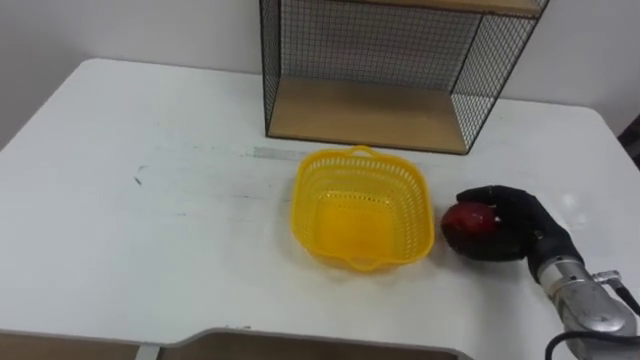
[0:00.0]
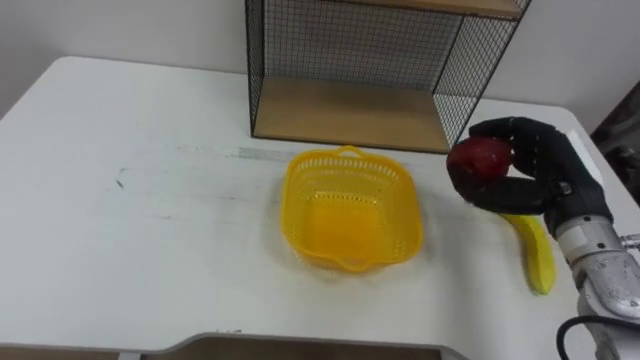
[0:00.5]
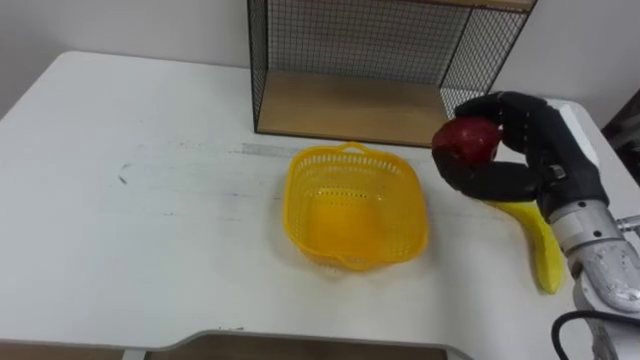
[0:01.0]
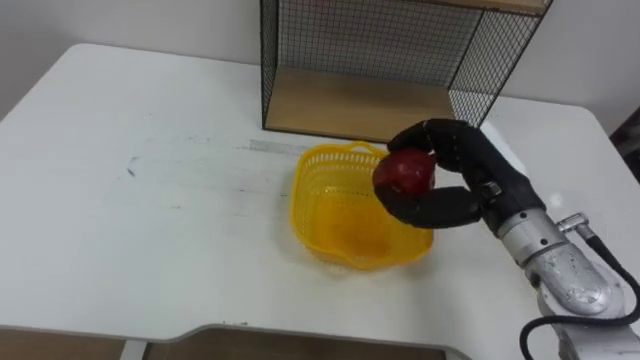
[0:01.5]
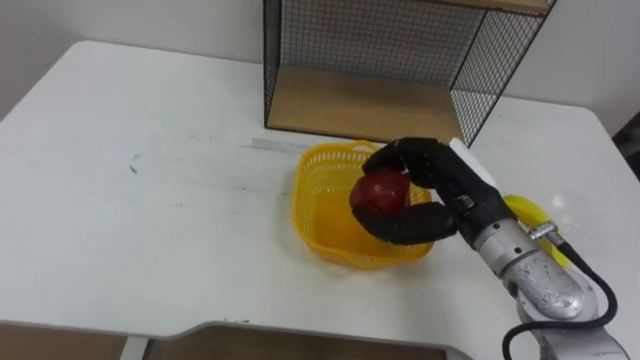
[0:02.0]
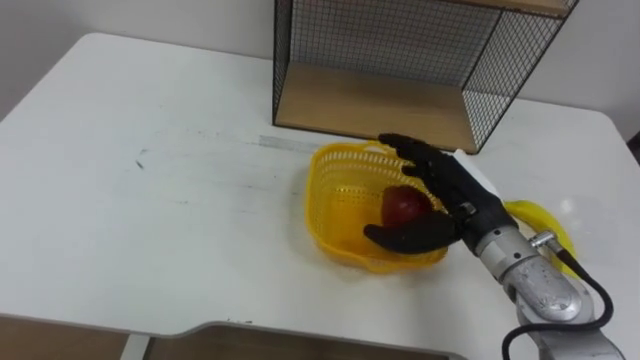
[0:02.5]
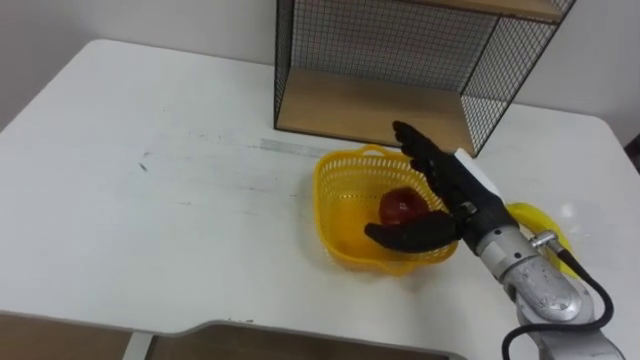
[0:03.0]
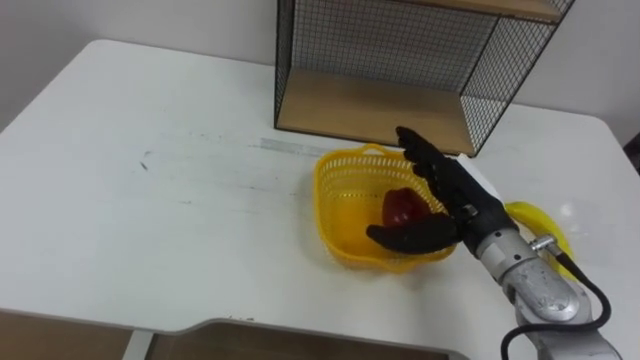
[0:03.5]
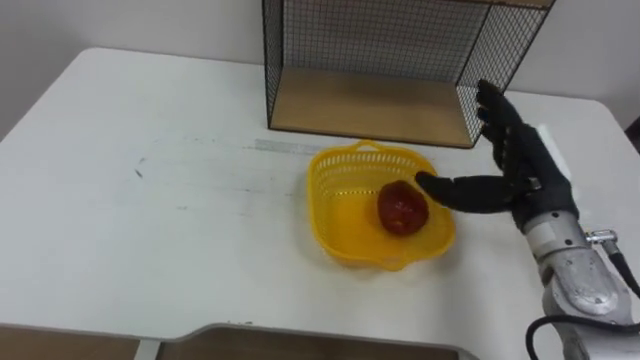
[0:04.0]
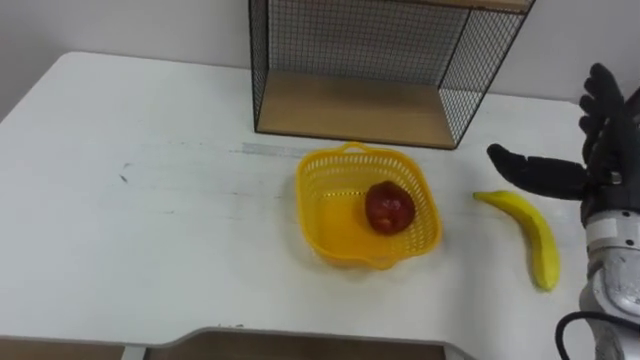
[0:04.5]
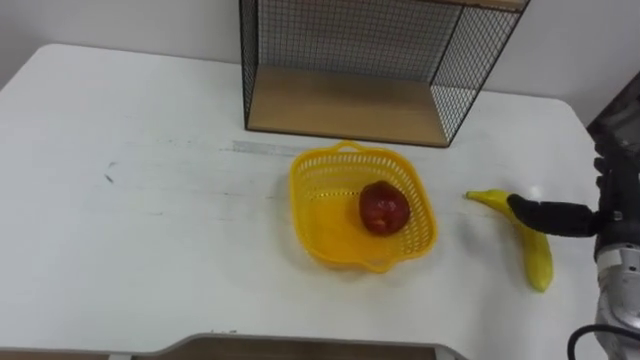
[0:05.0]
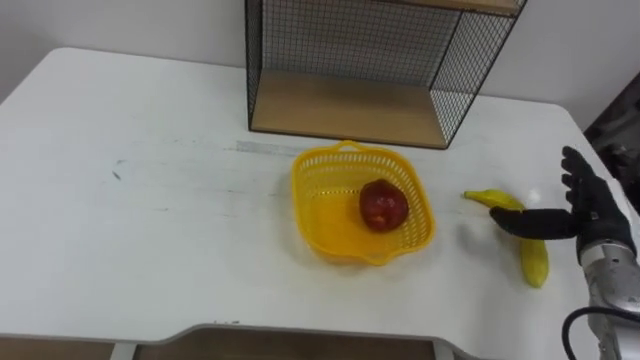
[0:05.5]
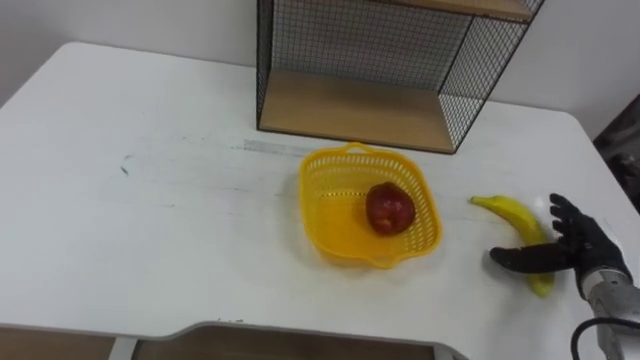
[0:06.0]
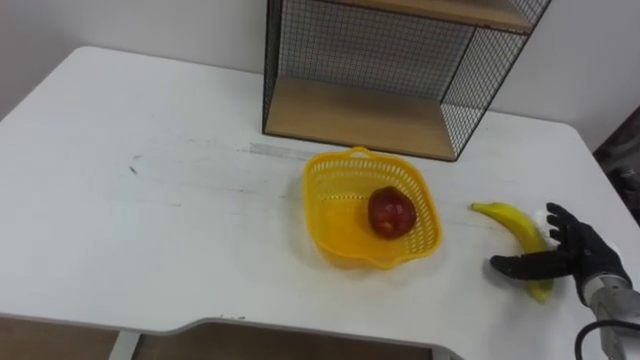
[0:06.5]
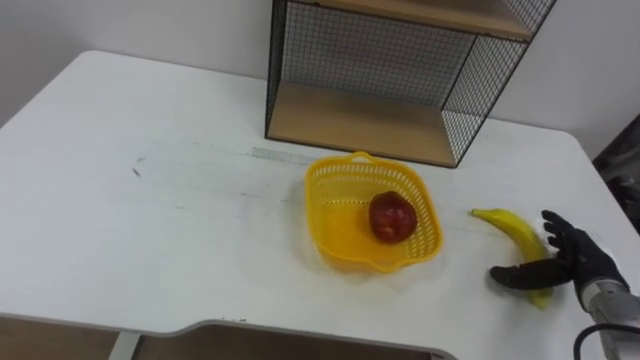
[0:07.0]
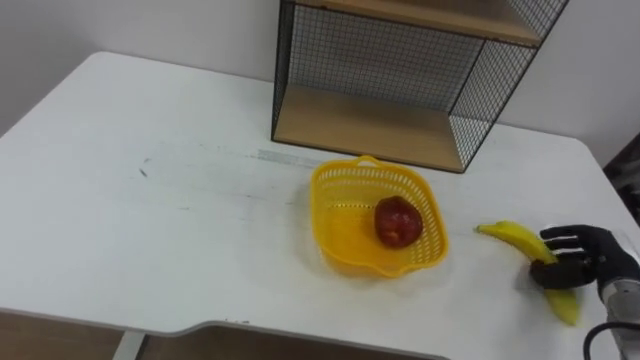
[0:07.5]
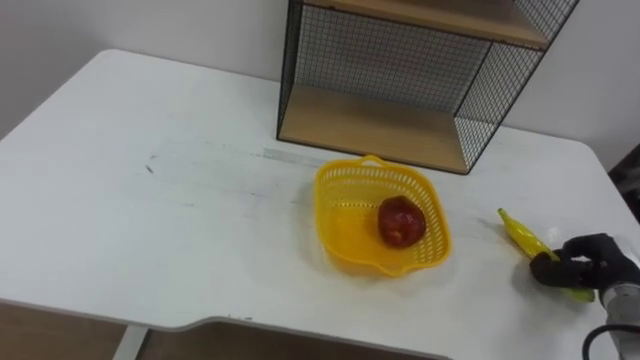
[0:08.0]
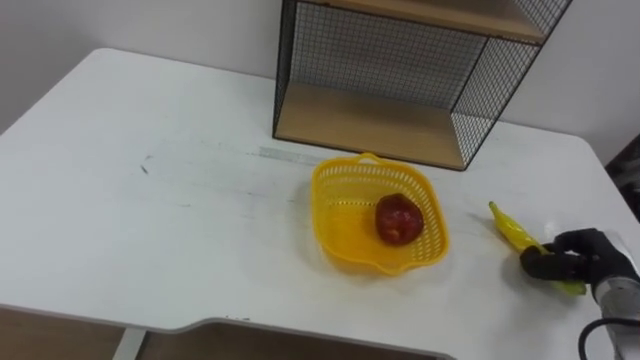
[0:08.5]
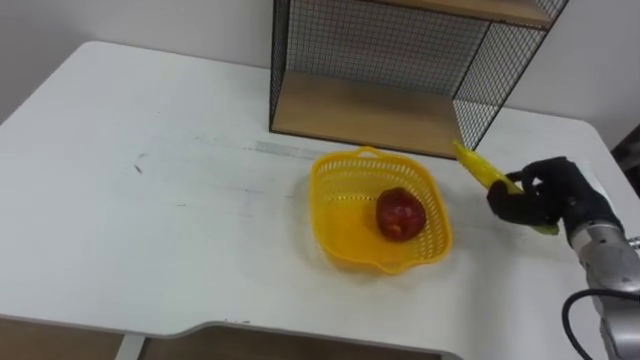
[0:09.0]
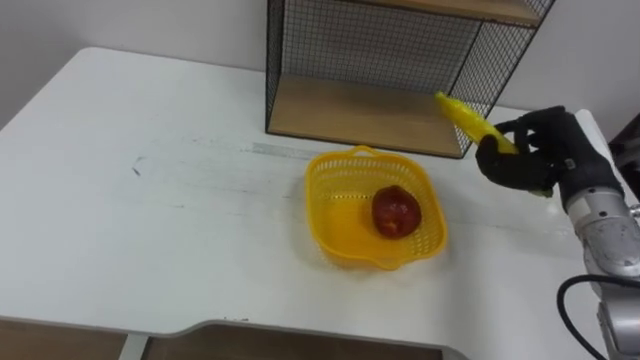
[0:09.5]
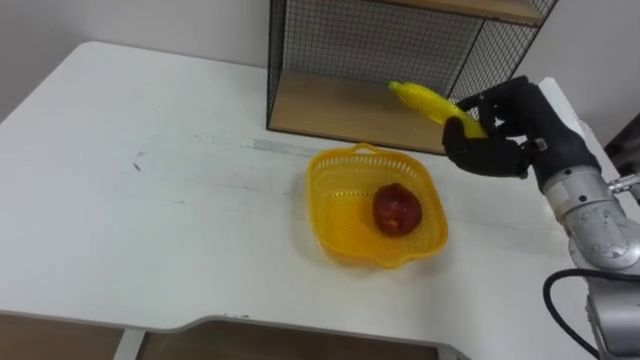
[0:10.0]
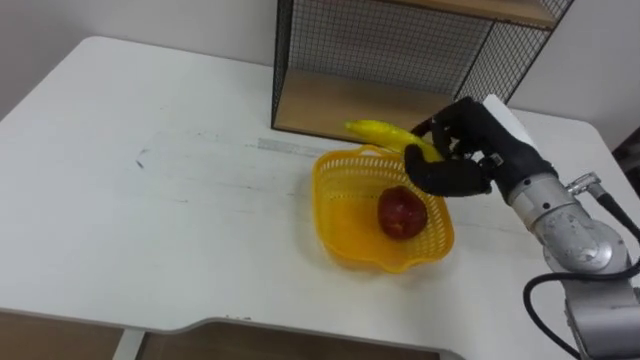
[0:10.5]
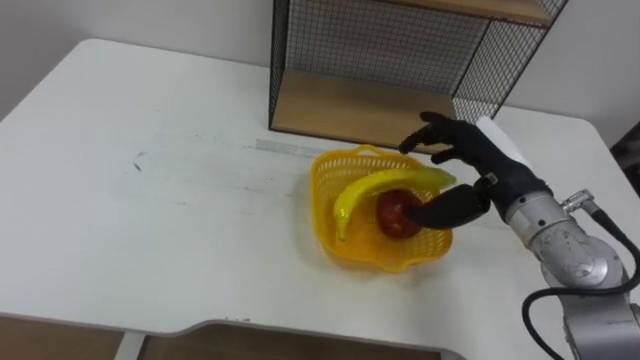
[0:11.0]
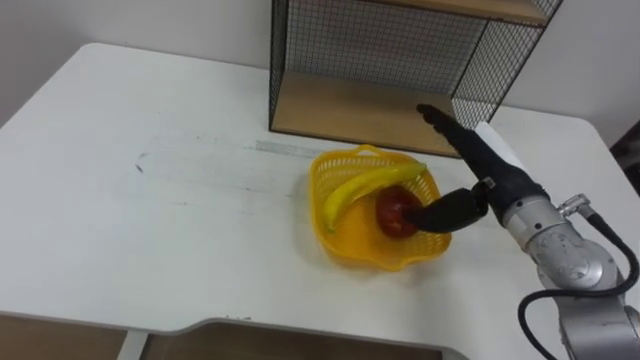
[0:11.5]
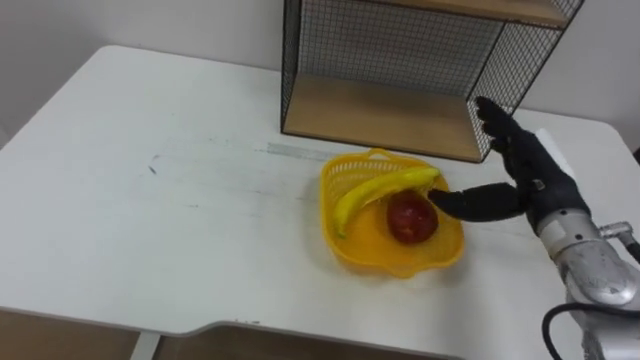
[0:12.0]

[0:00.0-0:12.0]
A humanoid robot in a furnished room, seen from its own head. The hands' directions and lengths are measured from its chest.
Task of the whole recording: Put the fruit on the table into the basket, then place the basket on the shelf.
0:00.0 to 0:02.0: The right hand shifts about 15 cm to the left and upward.
0:02.0 to 0:04.0: The right hand moves to the right, approximately 5 cm, and opens.
0:04.0 to 0:06.0: The right hand travels downward and to the right by roughly 15 cm.
0:06.0 to 0:08.0: The right hand closes.
0:08.0 to 0:10.0: The right hand is displaced upward and to the left by about 25 cm.
0:10.0 to 0:12.0: The right hand shifts by about 5 cm, and opens.

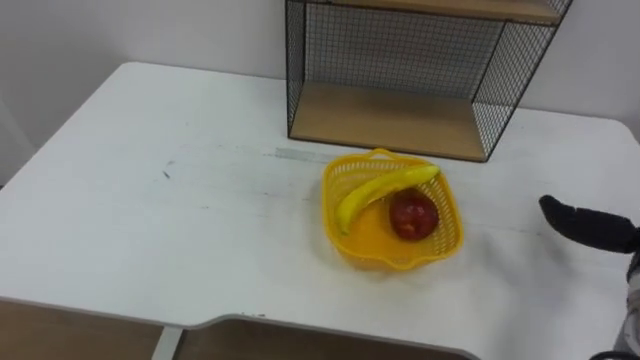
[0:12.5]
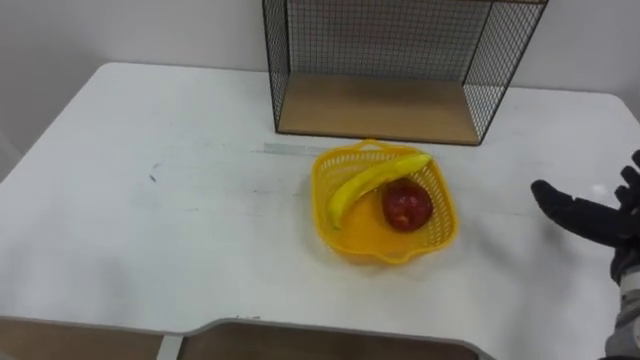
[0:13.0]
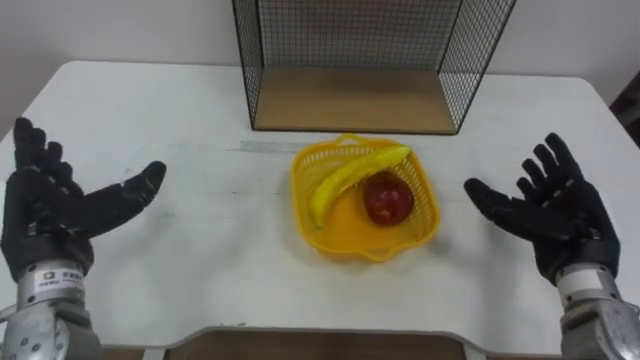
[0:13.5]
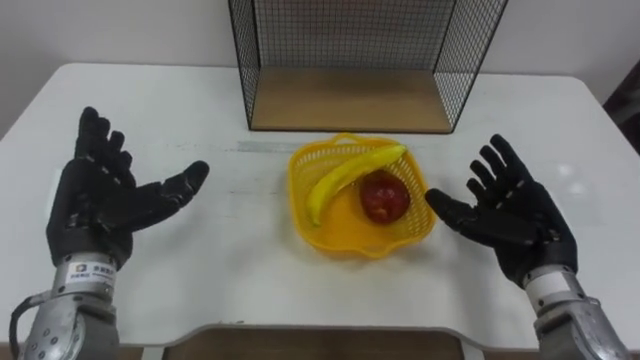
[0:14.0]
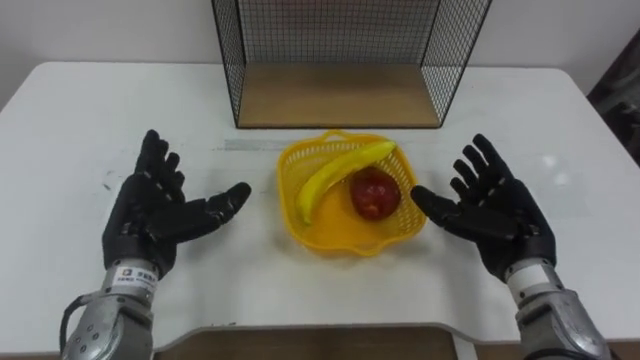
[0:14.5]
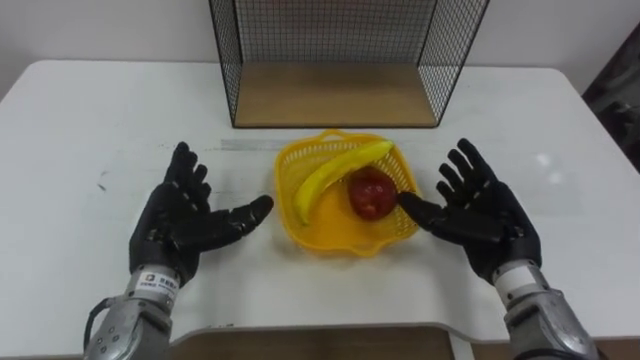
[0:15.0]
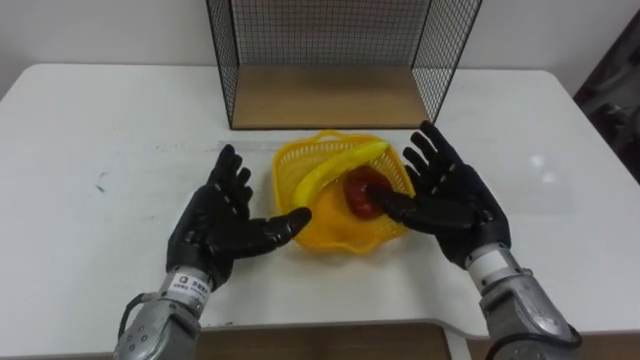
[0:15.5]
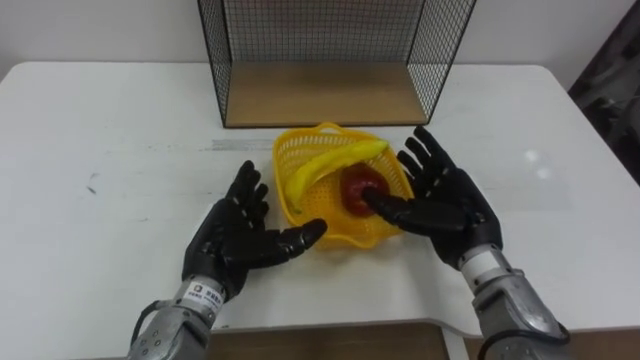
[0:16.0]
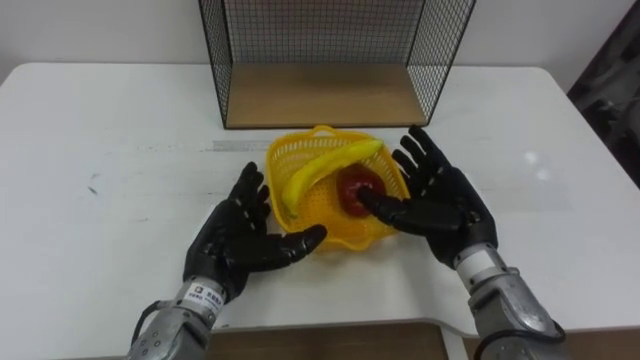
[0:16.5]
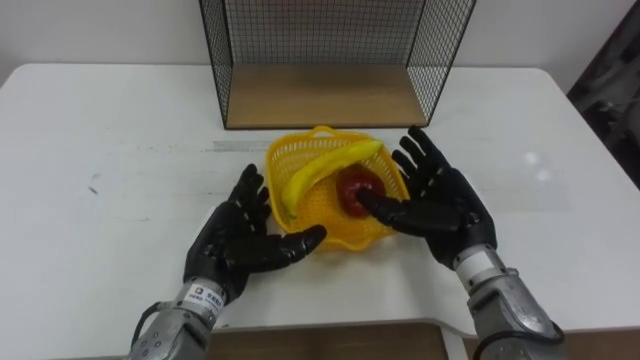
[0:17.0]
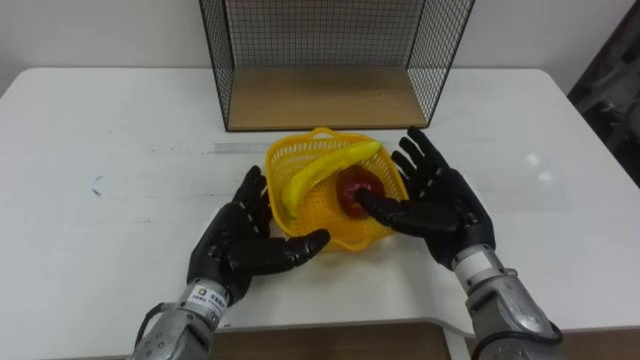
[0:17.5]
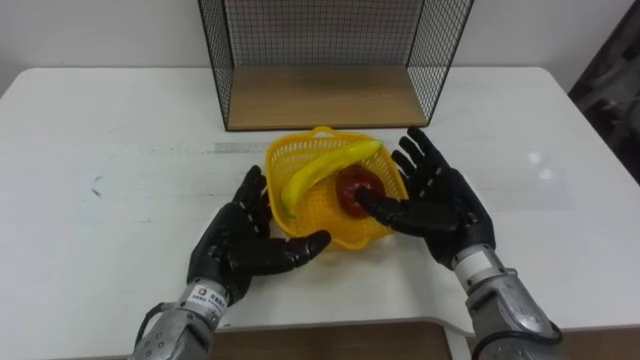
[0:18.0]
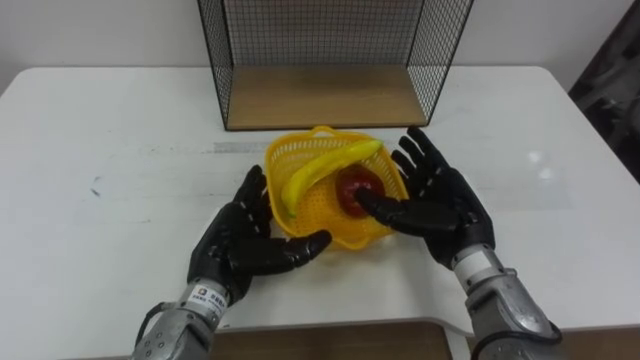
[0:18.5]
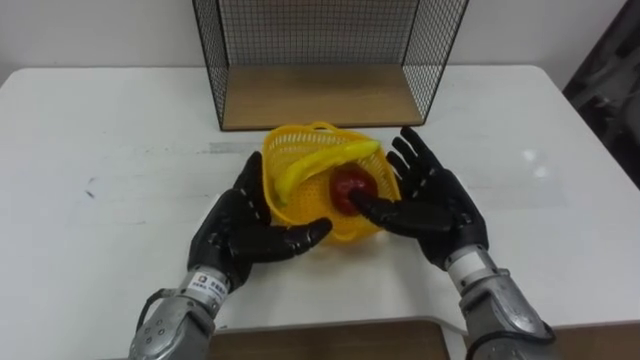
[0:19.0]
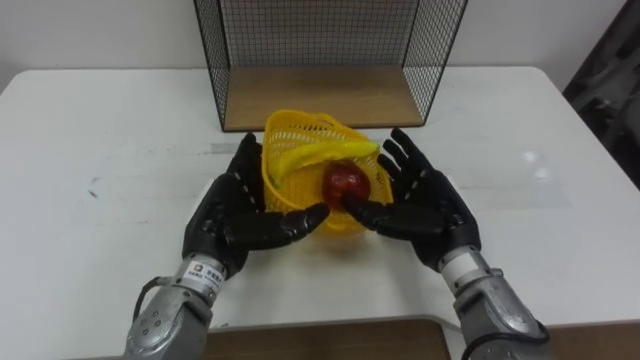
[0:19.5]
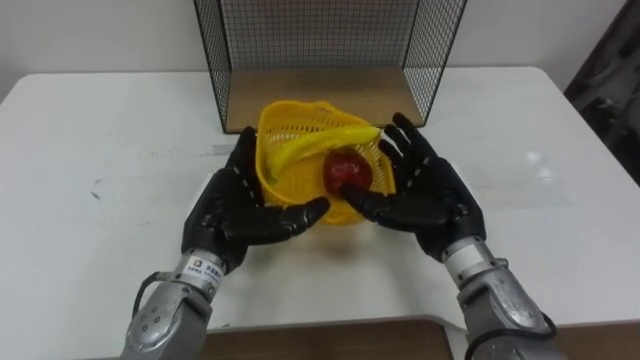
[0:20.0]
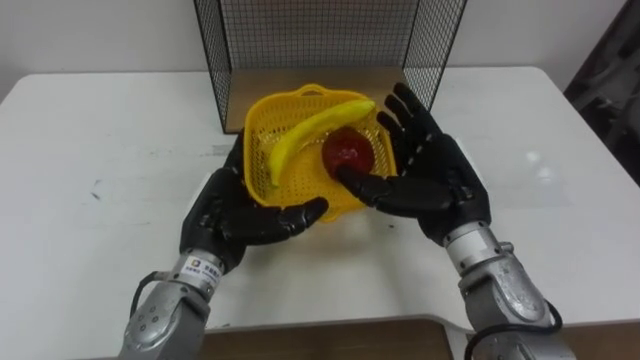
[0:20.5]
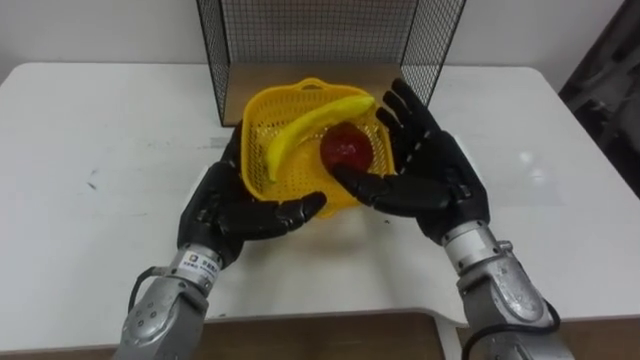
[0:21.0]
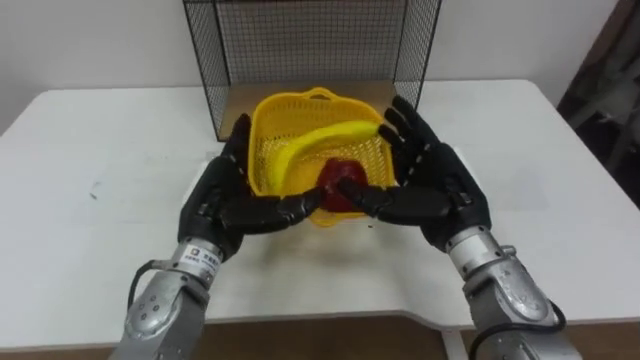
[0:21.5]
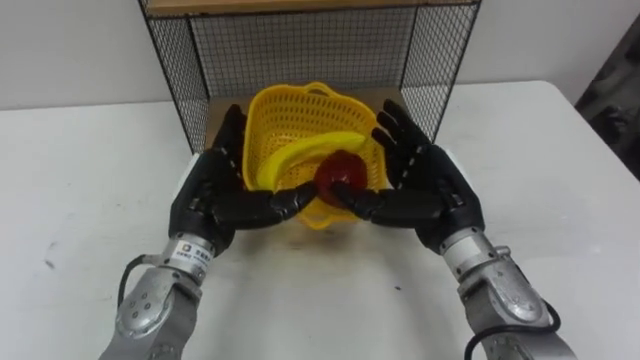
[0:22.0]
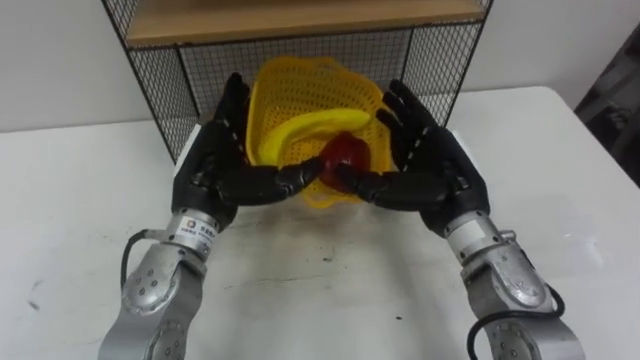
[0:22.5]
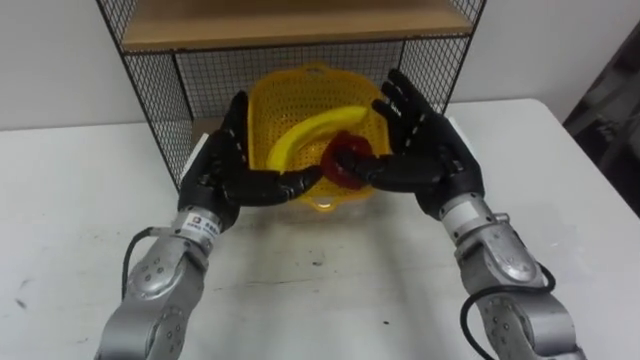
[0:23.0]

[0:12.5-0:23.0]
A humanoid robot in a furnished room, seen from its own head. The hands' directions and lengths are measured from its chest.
Task of the whole recording: Put the fruit on the table into the basket, then place the basket on the shelf.
0:14.5 to 0:16.5: The right hand shifts approximately 5 cm to the left. Meanwhile the left hand goes some 10 cm to the right.
0:16.5 to 0:19.0: Both hands stay put.
0:19.0 to 0:21.0: The right hand is displaced upward by approximately 5 cm.
